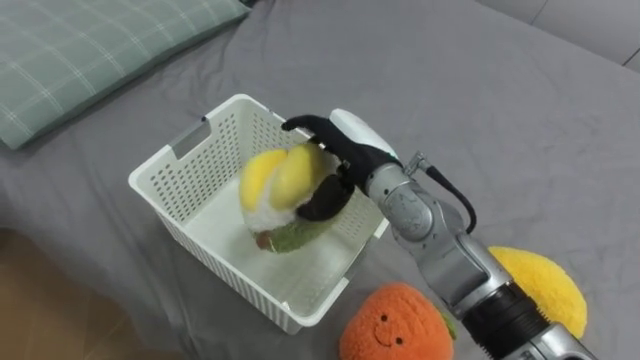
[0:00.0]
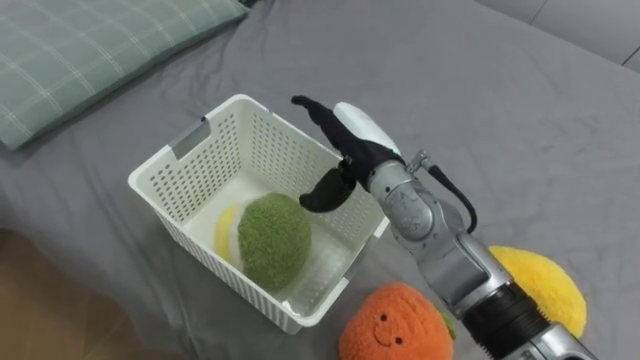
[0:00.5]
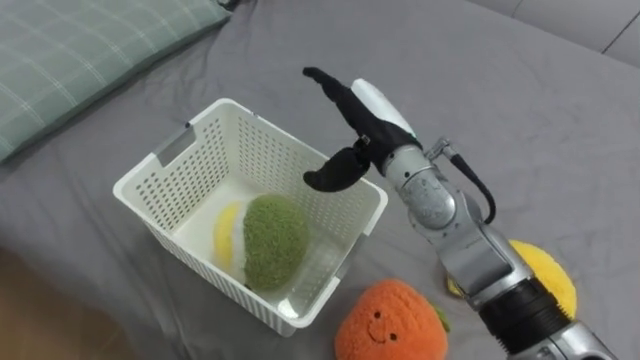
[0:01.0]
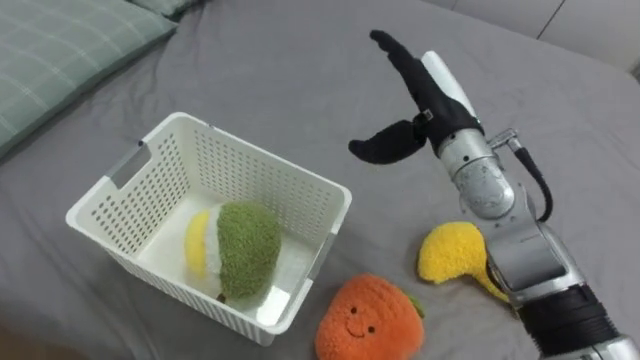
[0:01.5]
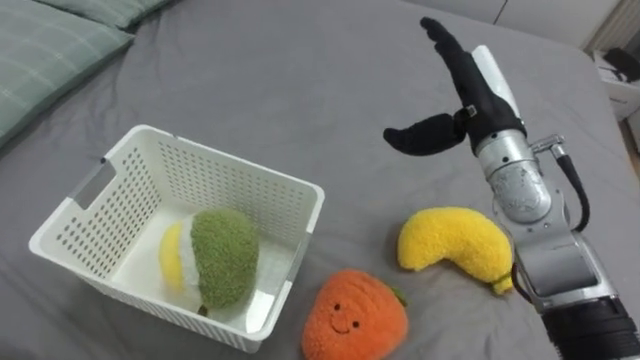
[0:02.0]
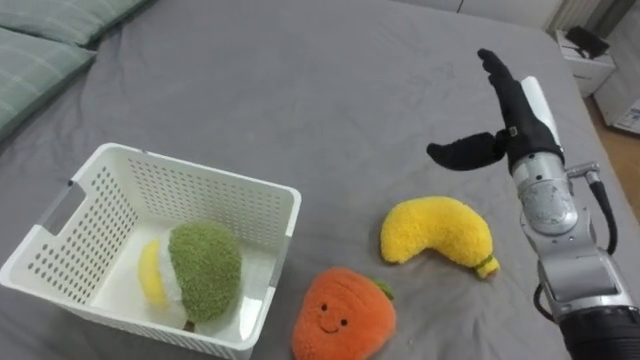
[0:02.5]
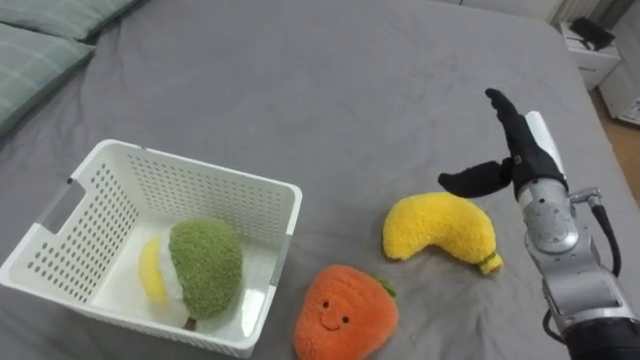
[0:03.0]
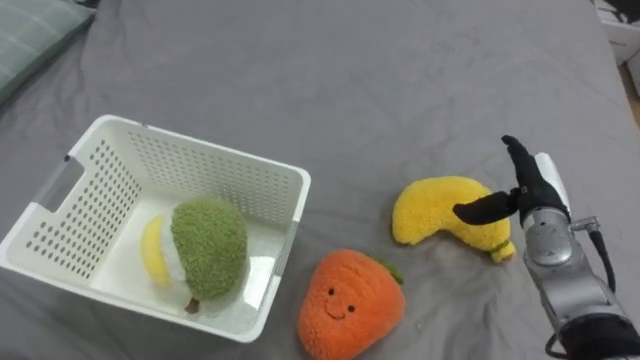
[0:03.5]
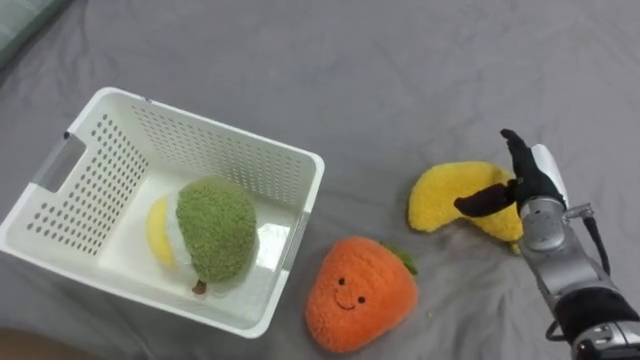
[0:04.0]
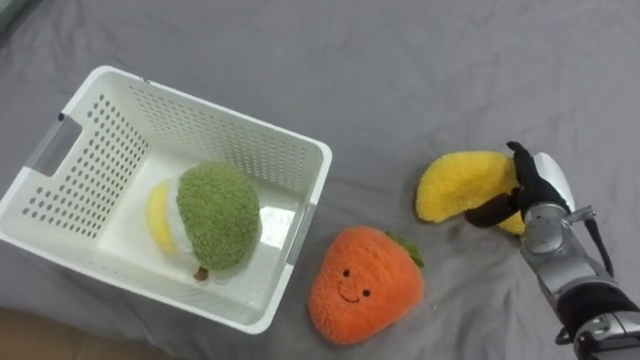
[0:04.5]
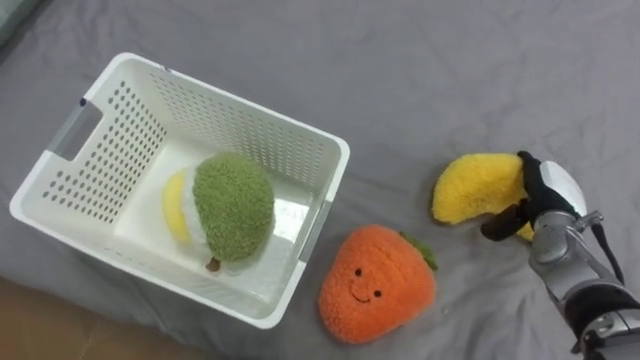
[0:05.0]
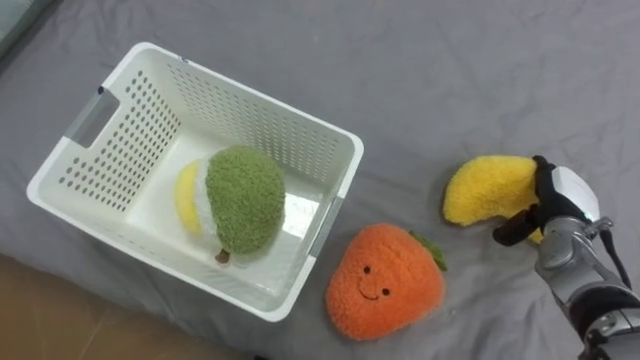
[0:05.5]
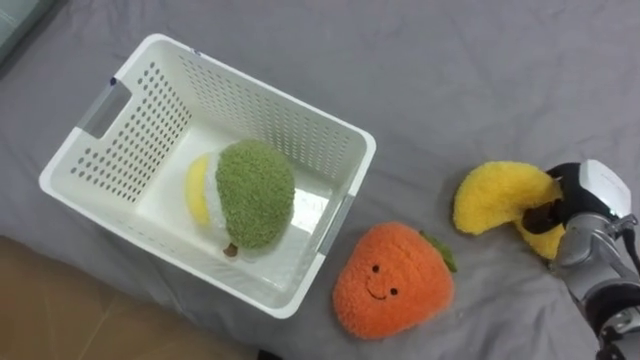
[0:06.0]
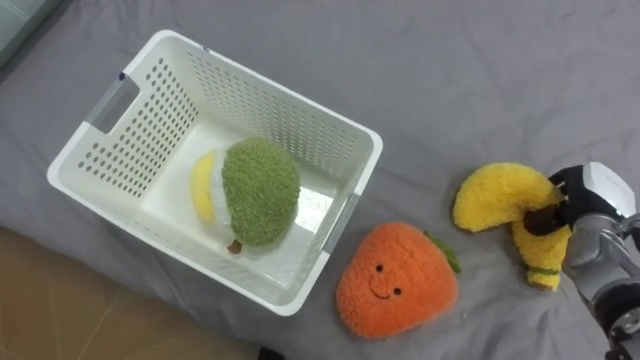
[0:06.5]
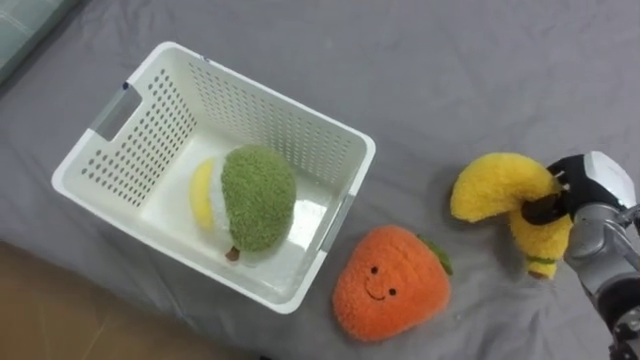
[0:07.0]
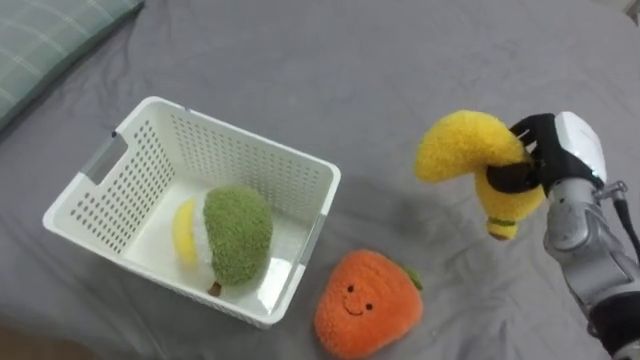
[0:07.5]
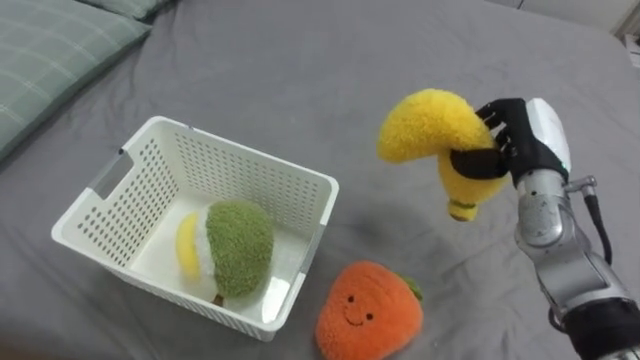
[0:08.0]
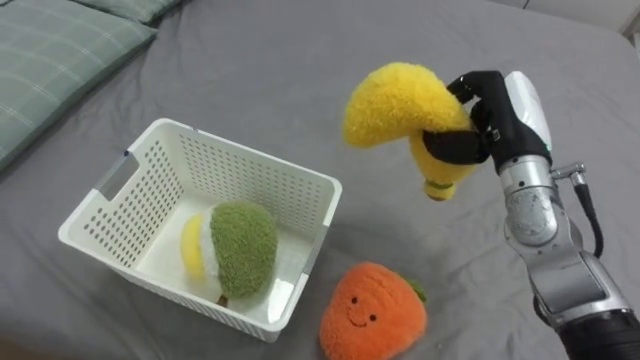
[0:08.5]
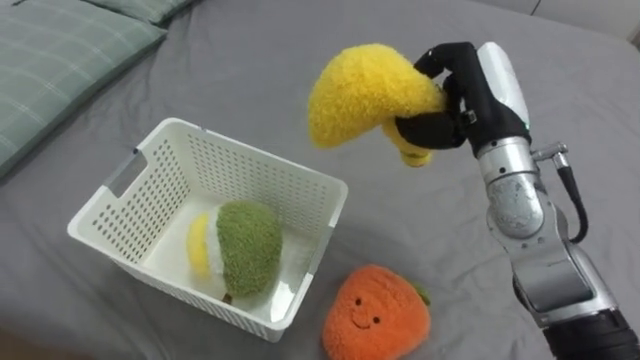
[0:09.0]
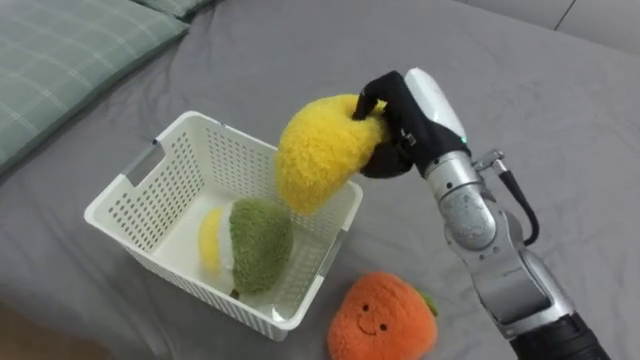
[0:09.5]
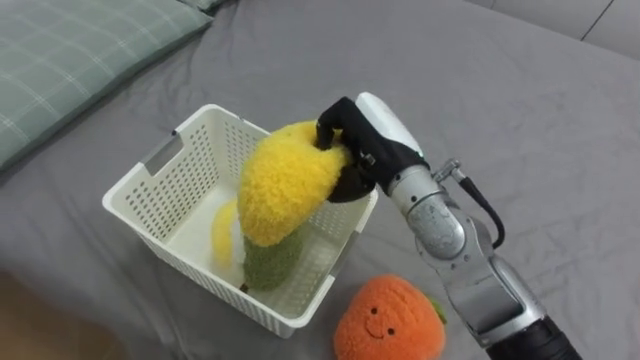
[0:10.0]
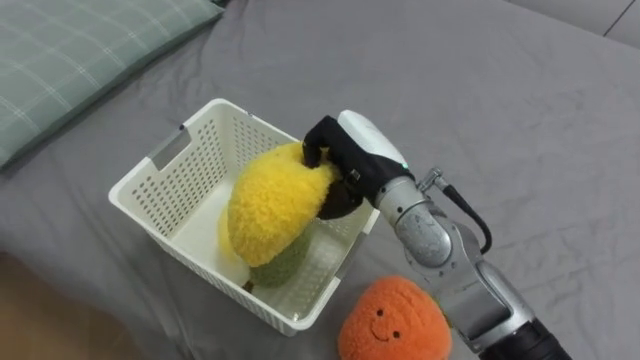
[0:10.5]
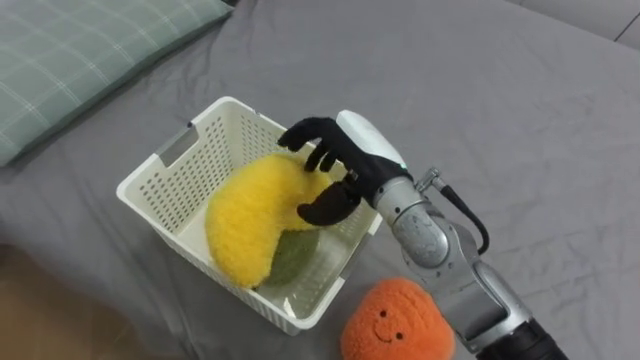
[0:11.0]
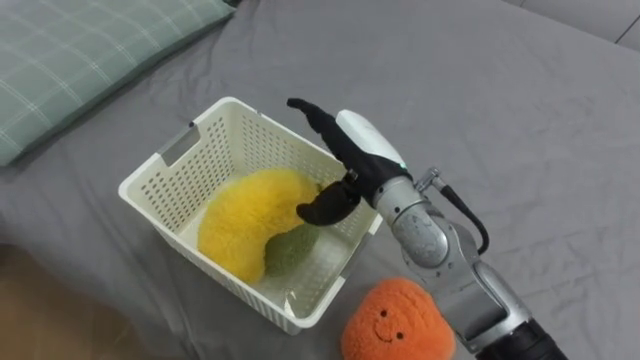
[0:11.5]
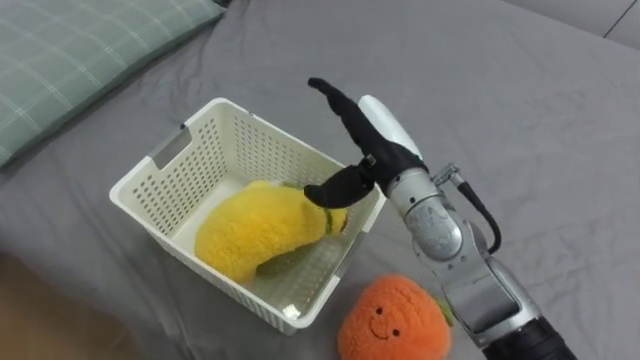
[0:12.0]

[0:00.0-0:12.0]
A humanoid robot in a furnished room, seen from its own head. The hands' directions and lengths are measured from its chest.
Task of the whole recording: Put the toys on the bed into the basket on the left.
0:00.0 to 0:02.0: The right hand travels to the right and upward by roughly 15 cm.
0:02.0 to 0:04.0: The right hand goes approximately 20 cm downward and to the right.
0:04.0 to 0:06.0: The right hand shifts some 5 cm to the right, and closes.
0:06.0 to 0:08.0: The right hand is displaced to the left and upward by some 10 cm.
0:08.0 to 0:10.0: The right hand is displaced to the left by about 20 cm.
0:10.0 to 0:12.0: The right hand opens up.

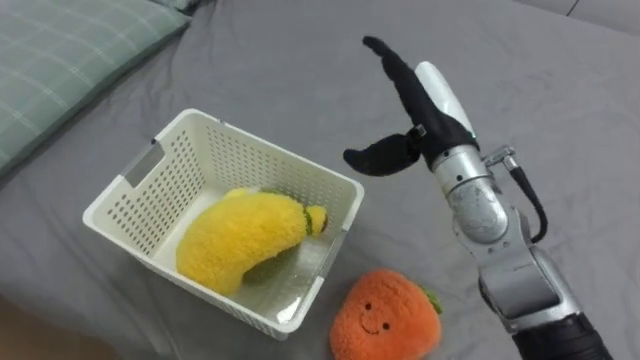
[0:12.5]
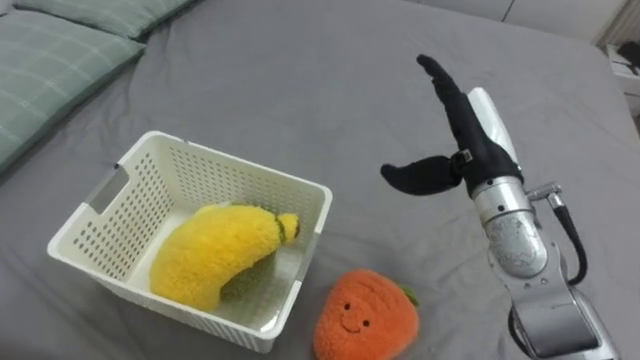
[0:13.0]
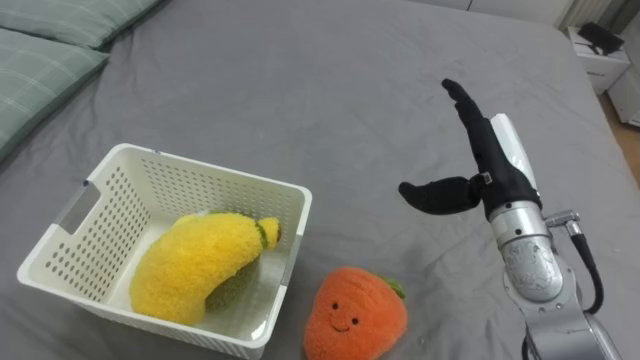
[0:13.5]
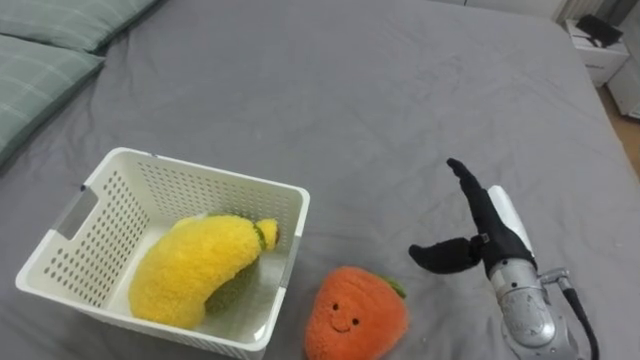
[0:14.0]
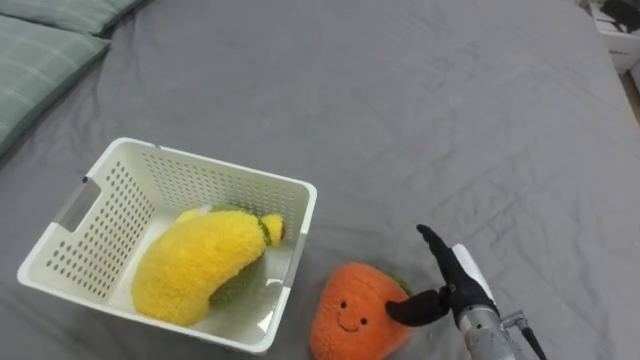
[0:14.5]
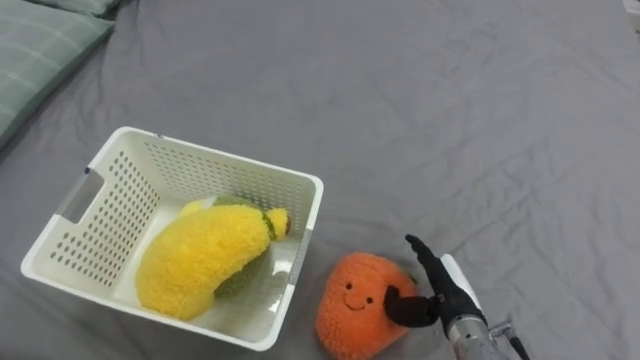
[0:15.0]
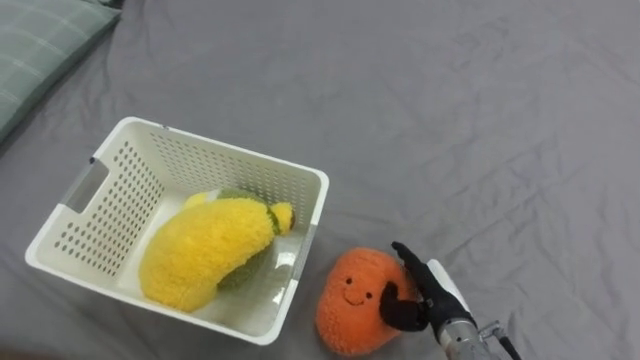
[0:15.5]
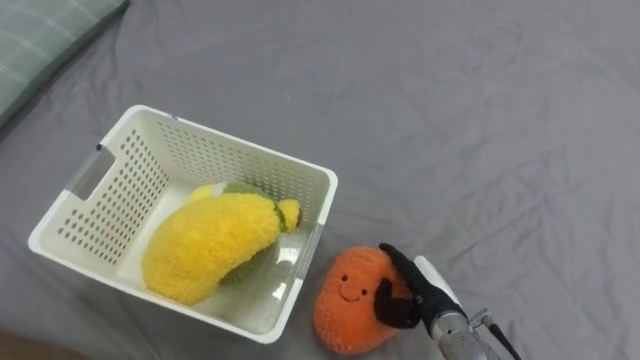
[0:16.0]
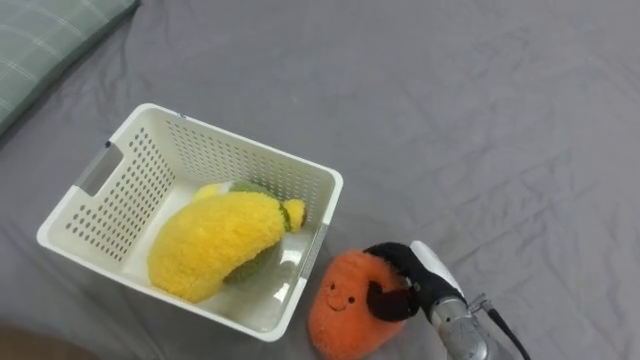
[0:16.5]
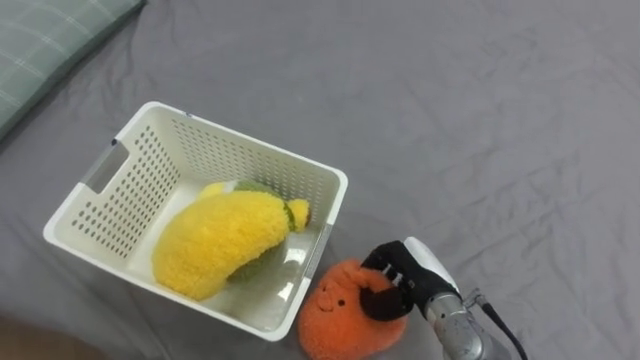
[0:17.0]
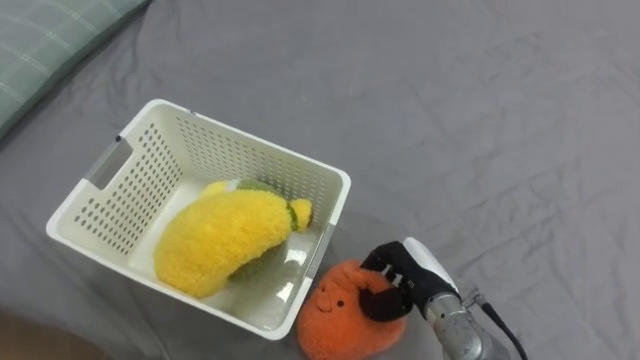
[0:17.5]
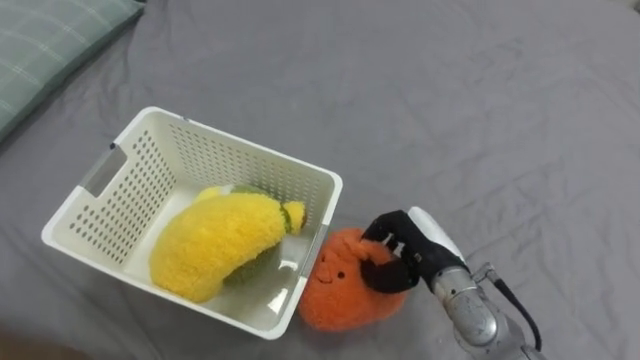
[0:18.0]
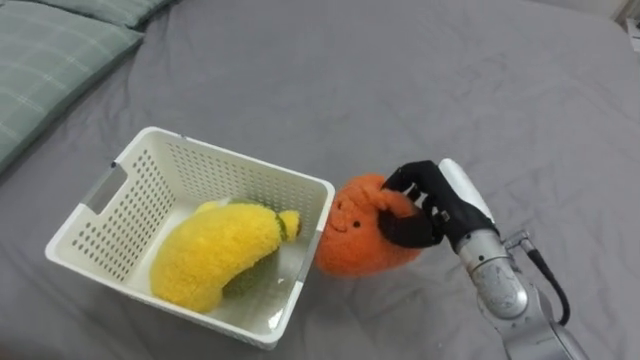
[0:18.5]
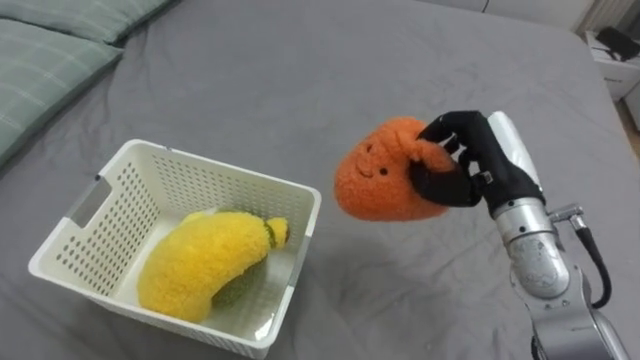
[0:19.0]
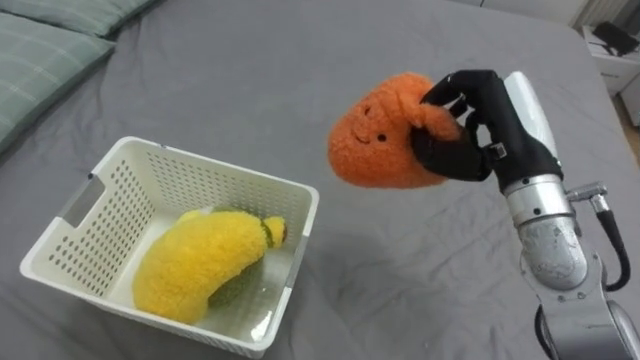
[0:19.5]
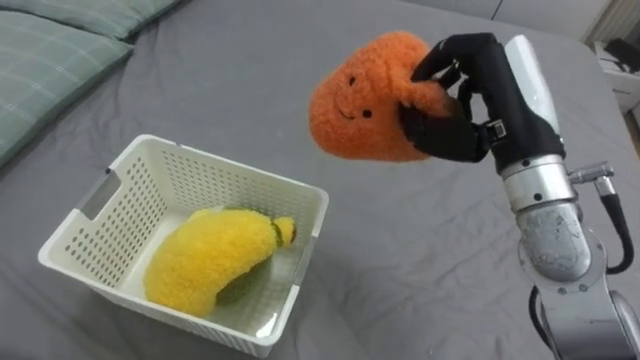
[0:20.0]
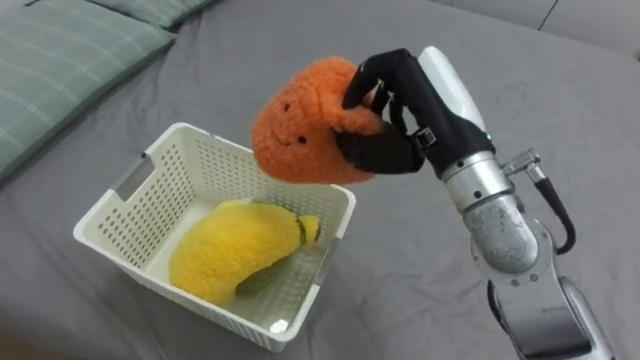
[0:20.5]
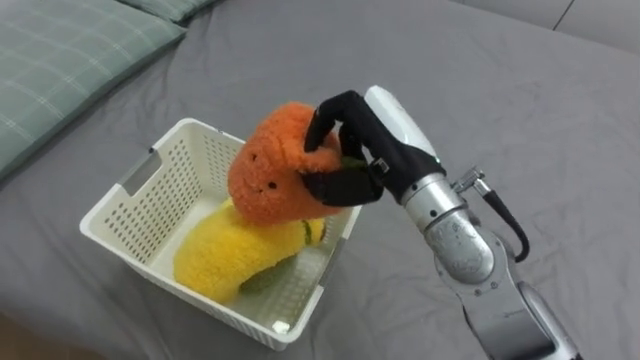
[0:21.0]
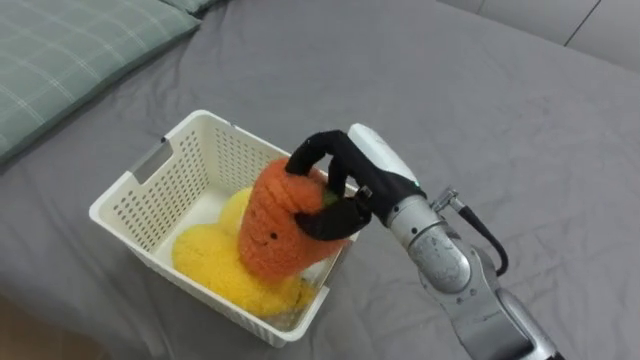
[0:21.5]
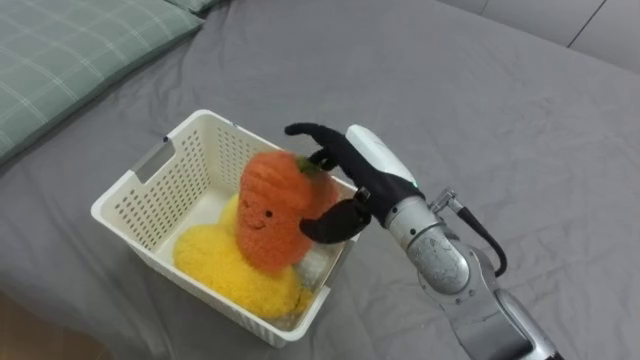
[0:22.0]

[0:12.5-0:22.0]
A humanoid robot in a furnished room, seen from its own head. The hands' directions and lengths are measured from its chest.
Task of the whole recording: Put the toys on the bed into the basket on the left.
0:12.5 to 0:14.5: The right hand moves downward and backward, approximately 25 cm.
0:14.5 to 0:16.5: The right hand moves to the left, roughly 5 cm, and closes up.
0:16.5 to 0:18.0: The right hand changes place by some 5 cm, and closes up.
0:18.0 to 0:20.0: The right hand heads upward, covering roughly 25 cm.
0:20.0 to 0:22.0: The right hand heads to the left and downward, covering roughly 15 cm, and opens its fingers.
